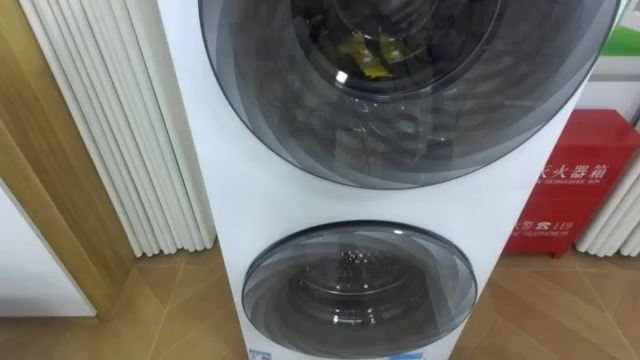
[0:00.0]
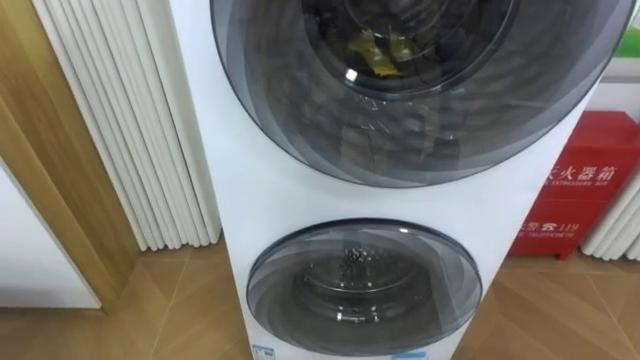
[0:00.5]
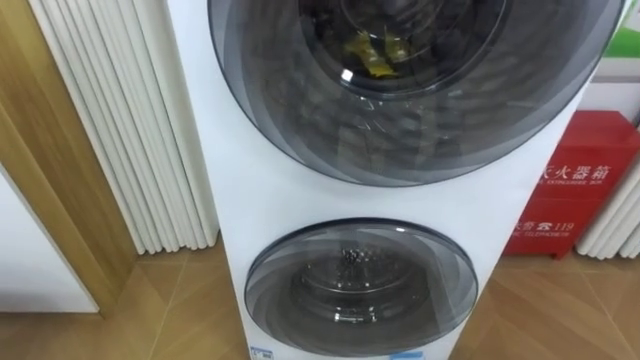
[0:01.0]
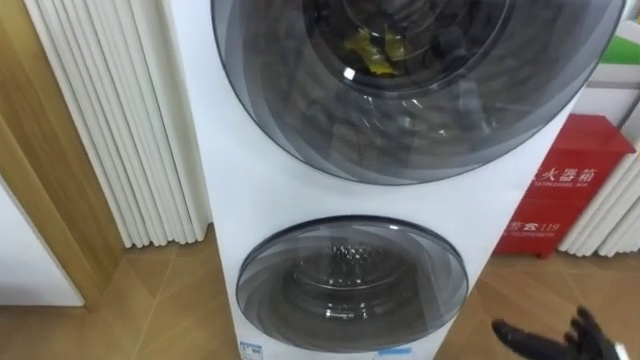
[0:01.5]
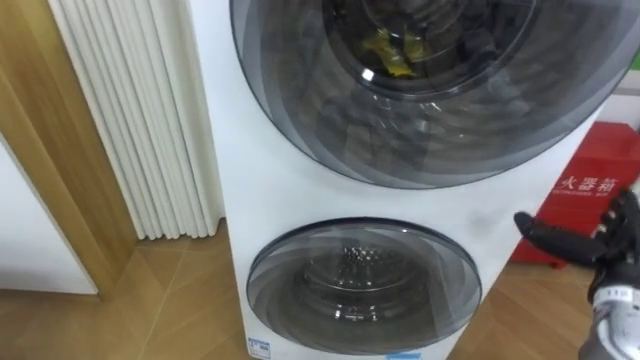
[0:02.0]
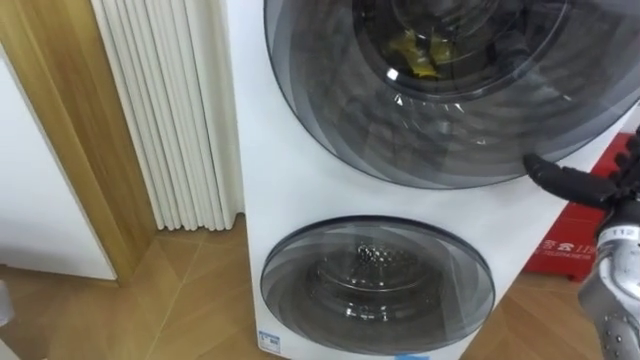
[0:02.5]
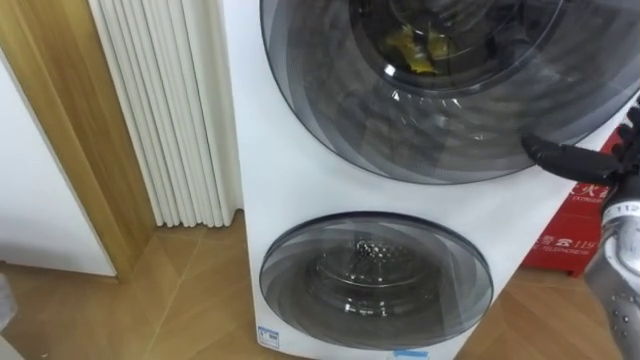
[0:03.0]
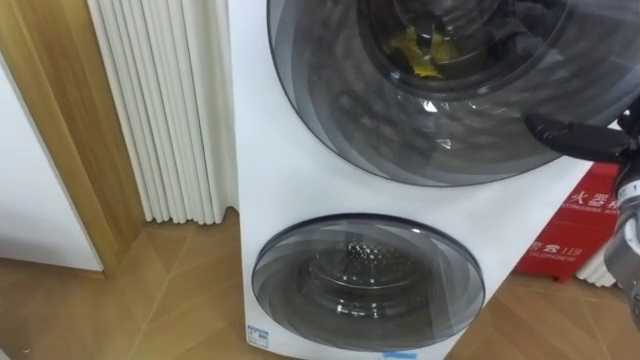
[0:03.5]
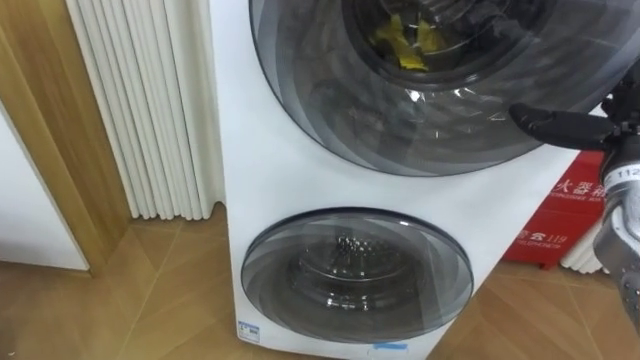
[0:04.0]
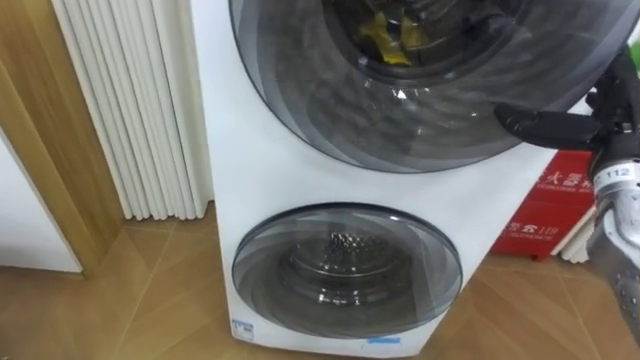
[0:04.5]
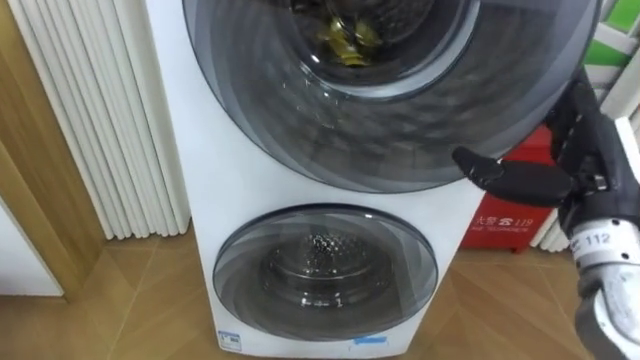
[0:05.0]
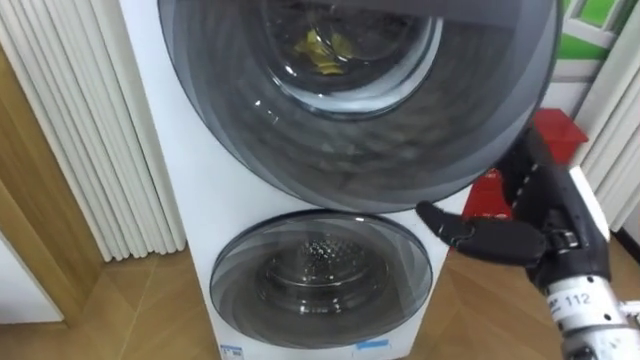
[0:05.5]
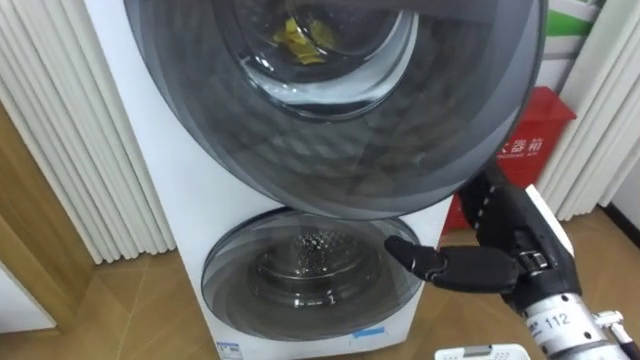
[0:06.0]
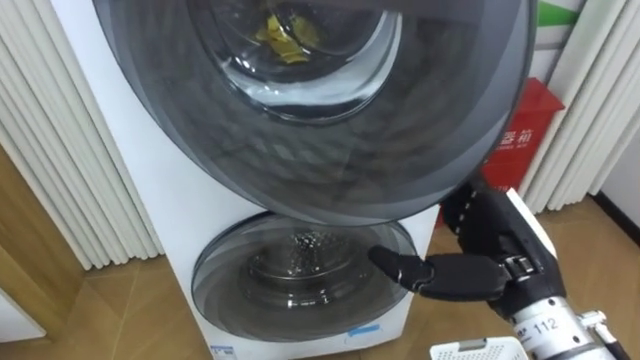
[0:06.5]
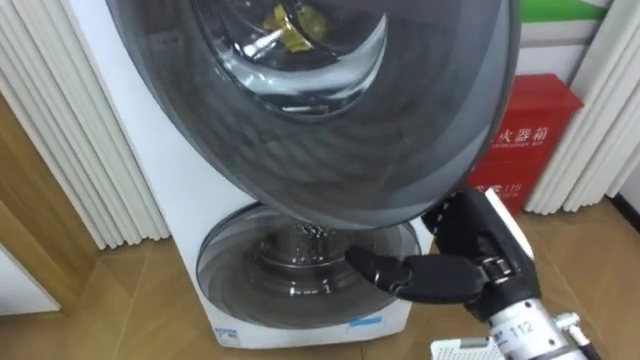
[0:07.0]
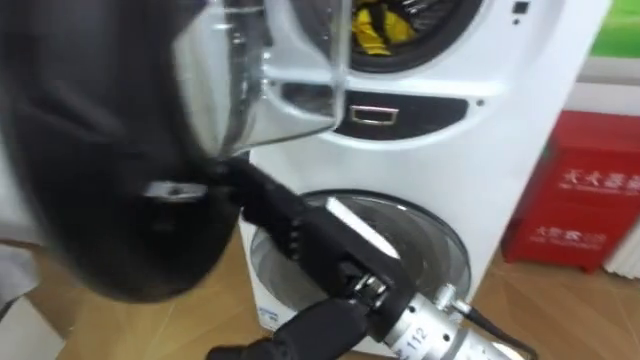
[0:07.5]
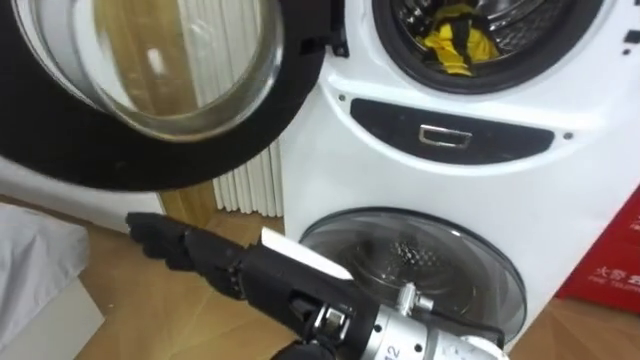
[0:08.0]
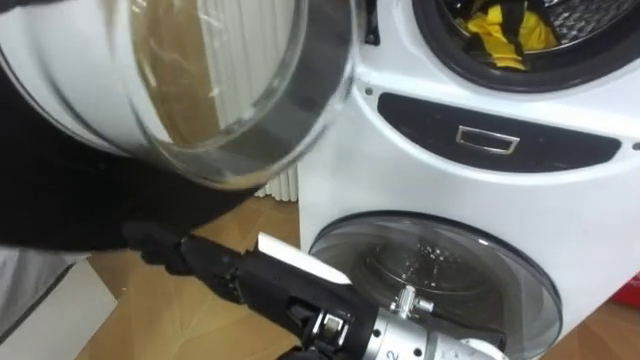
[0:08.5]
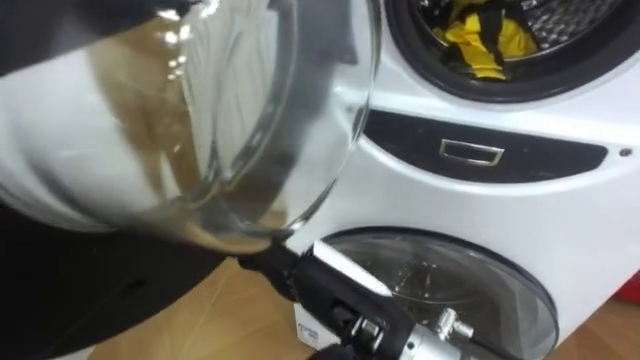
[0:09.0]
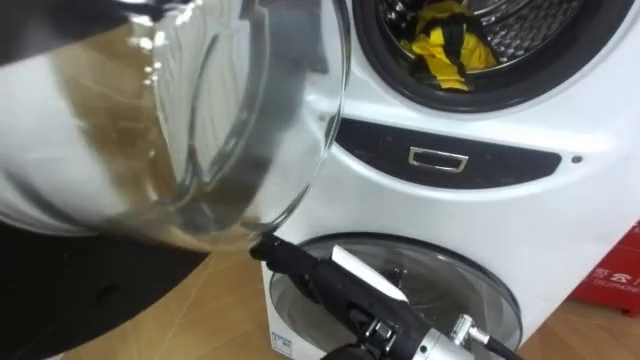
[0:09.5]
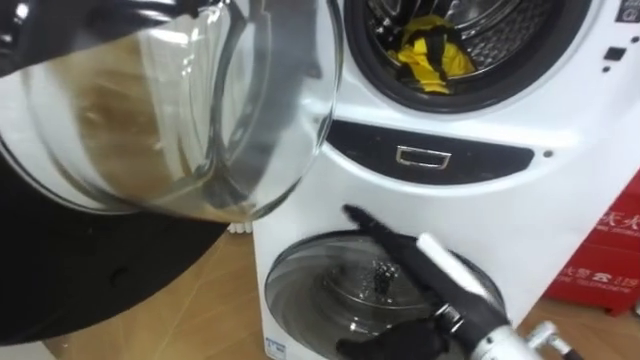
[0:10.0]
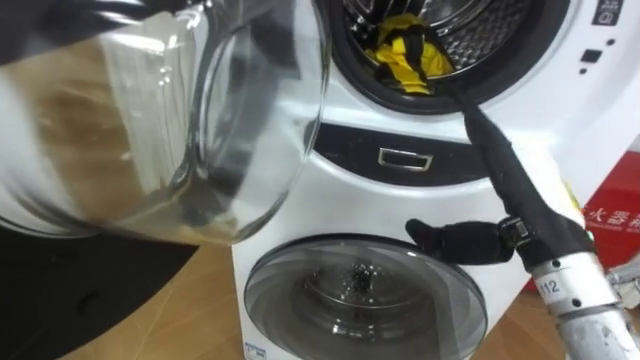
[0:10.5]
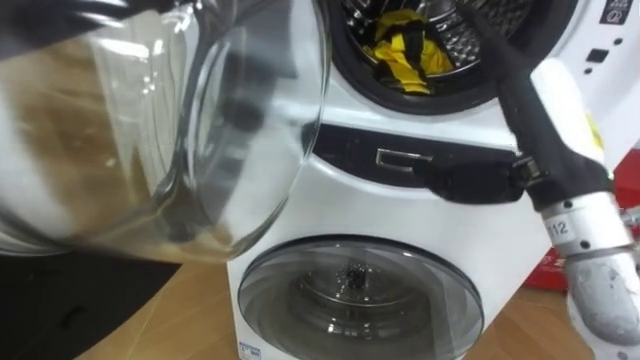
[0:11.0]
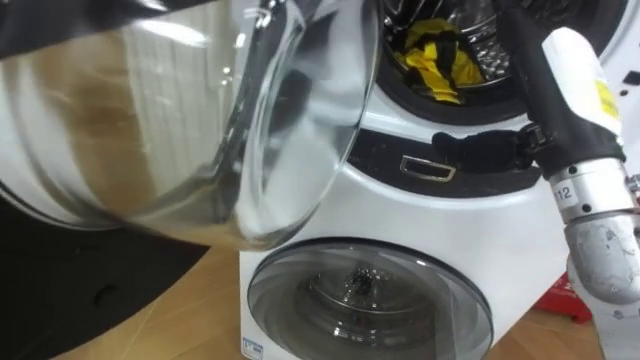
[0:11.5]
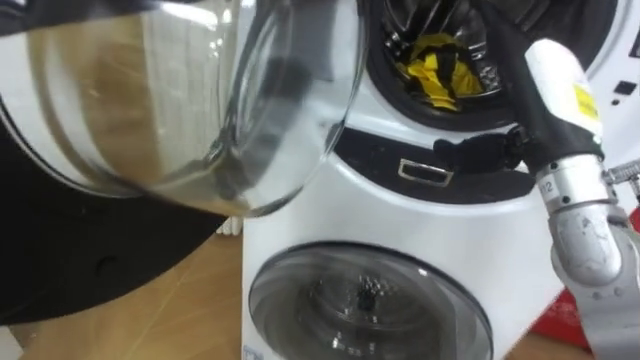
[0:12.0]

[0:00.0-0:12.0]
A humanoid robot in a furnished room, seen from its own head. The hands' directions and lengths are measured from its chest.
Task of the whole recording: Open the washing machine door, take out the yellow clothes, place them in the box on the right, and close the washing machine door.
0:02.0 to 0:04.0: The right hand goes about 15 cm upward and forward.
0:04.0 to 0:06.0: The right hand travels to the left and backward by roughly 15 cm.
0:06.0 to 0:08.0: The right hand travels to the left by about 20 cm.
0:08.0 to 0:10.0: The right hand moves to the right and downward, approximately 15 cm.
0:10.0 to 0:12.0: The right hand heads upward, forward and to the right, covering some 20 cm.

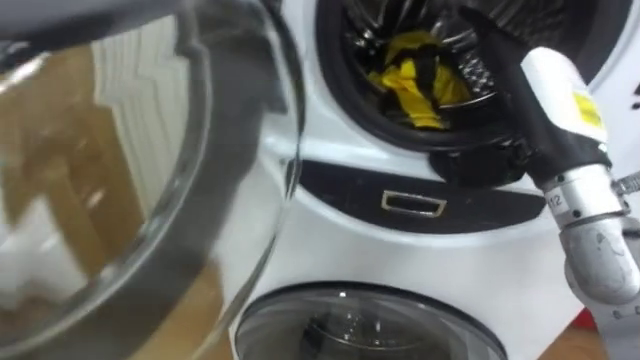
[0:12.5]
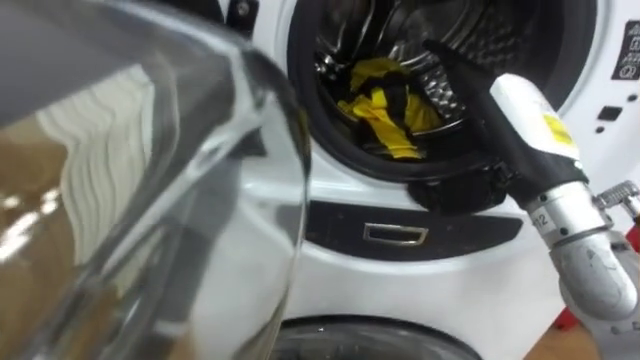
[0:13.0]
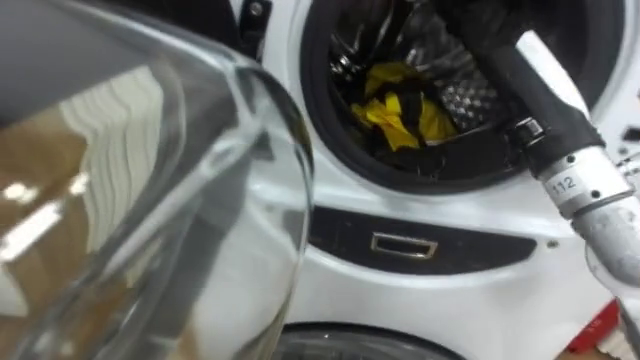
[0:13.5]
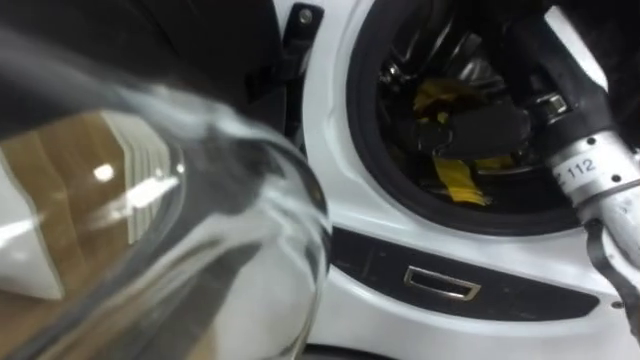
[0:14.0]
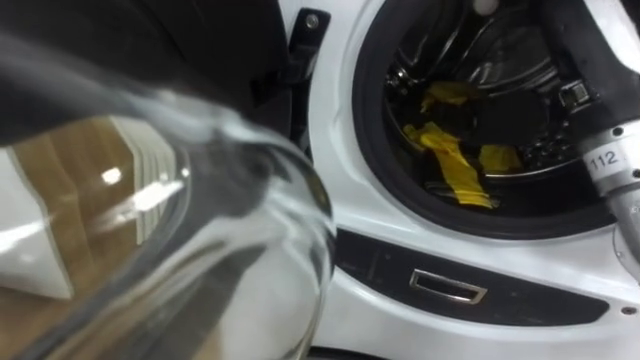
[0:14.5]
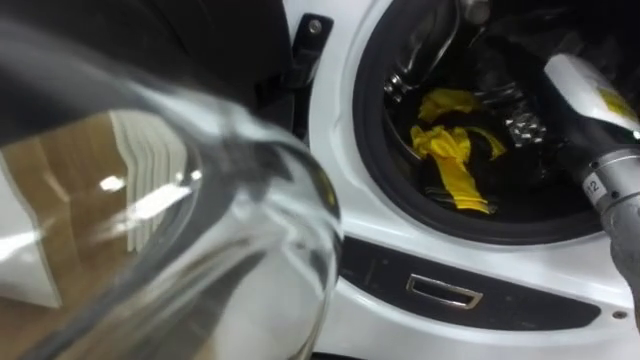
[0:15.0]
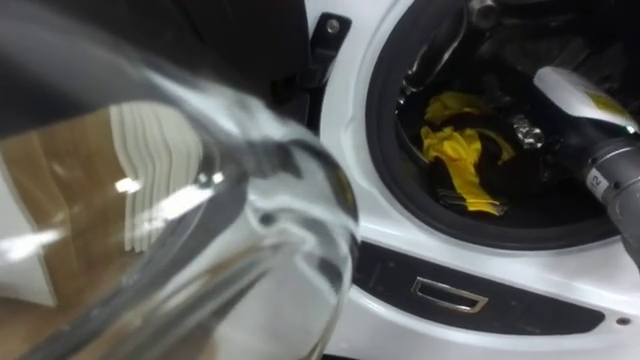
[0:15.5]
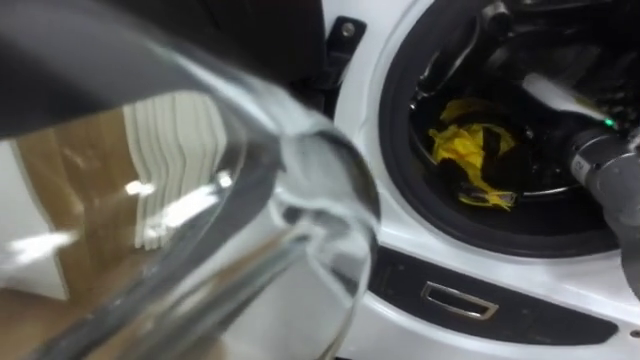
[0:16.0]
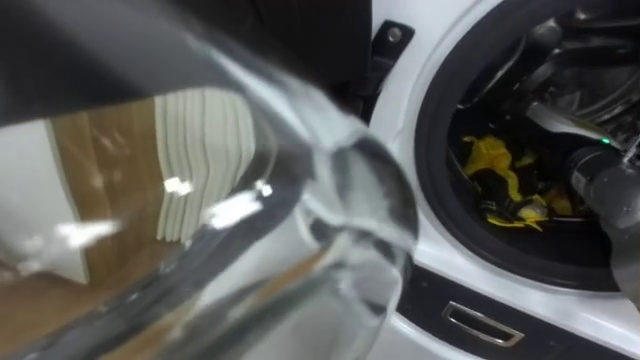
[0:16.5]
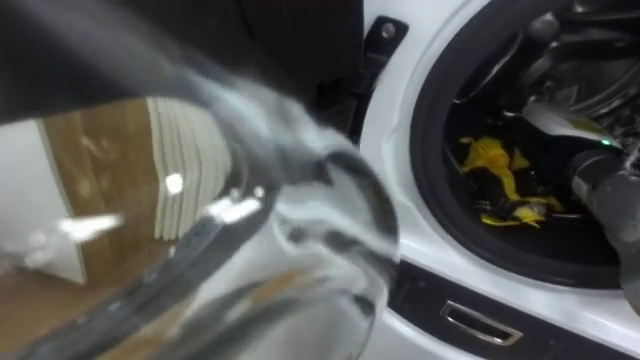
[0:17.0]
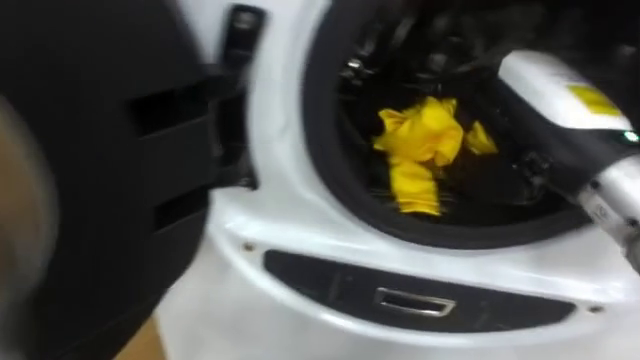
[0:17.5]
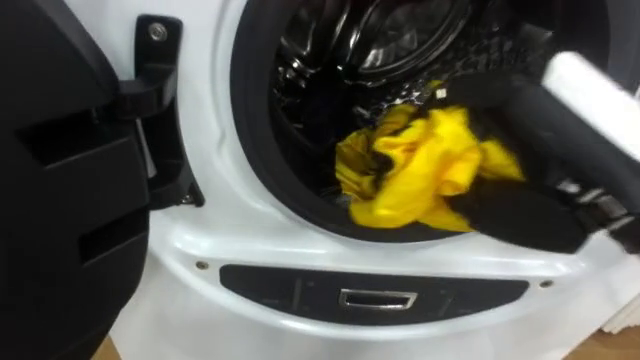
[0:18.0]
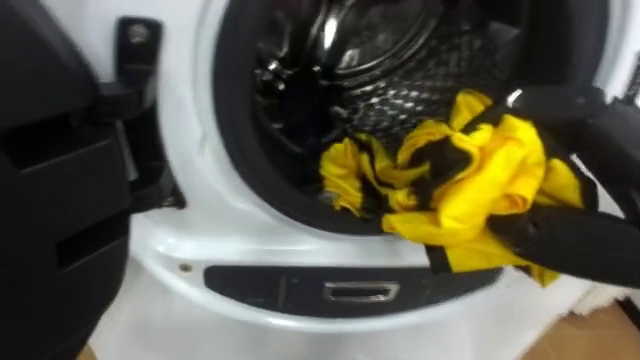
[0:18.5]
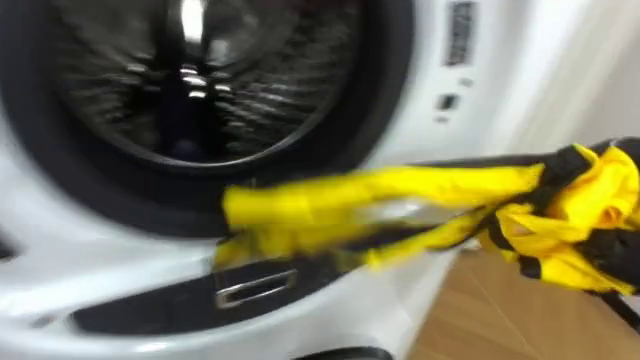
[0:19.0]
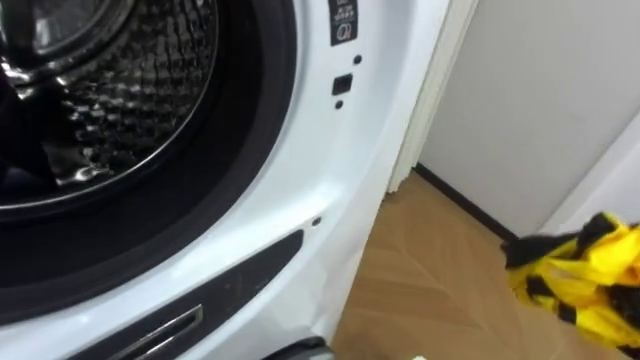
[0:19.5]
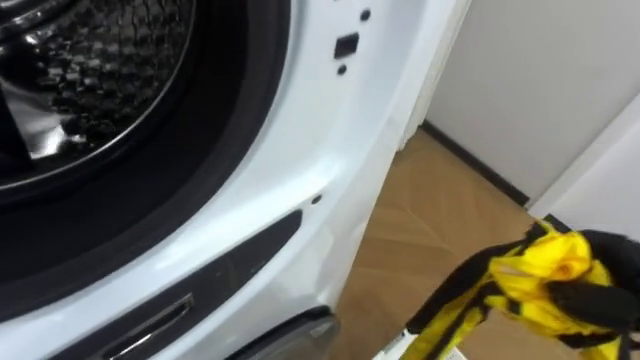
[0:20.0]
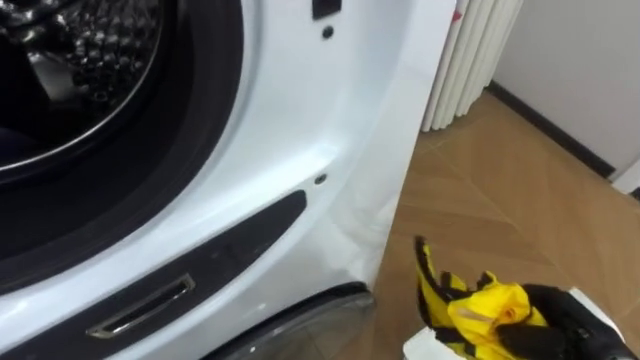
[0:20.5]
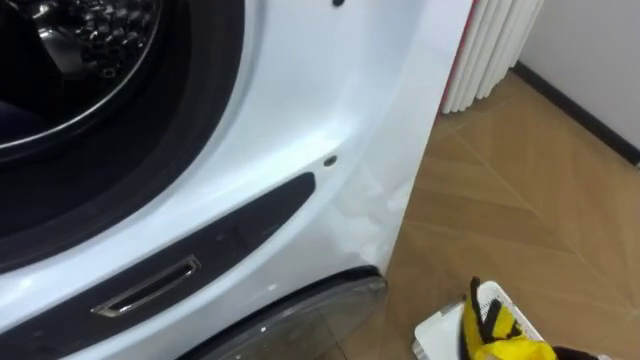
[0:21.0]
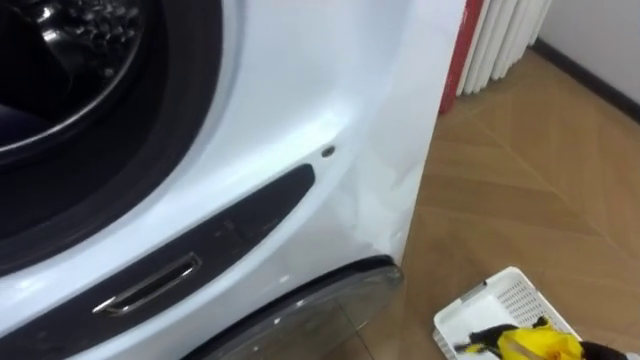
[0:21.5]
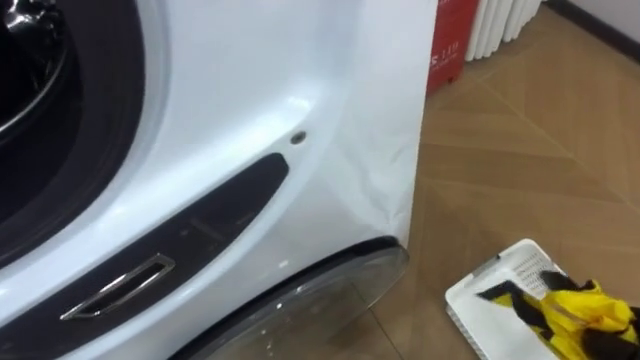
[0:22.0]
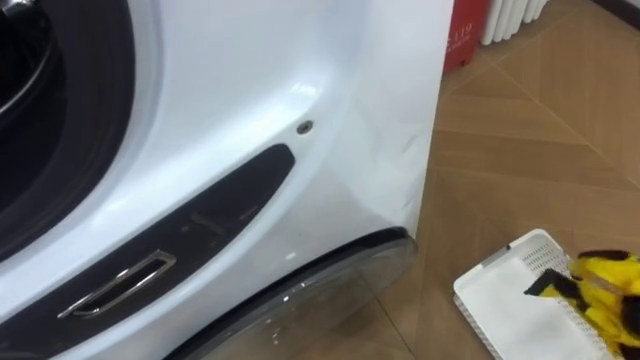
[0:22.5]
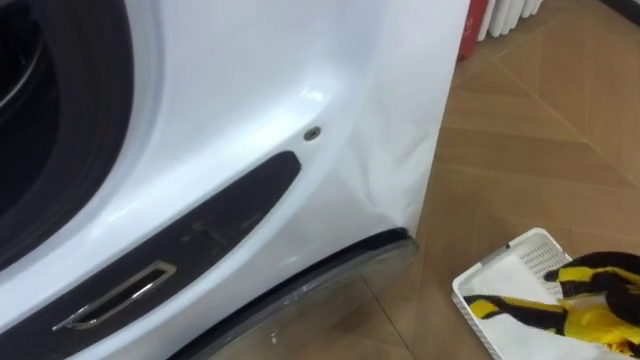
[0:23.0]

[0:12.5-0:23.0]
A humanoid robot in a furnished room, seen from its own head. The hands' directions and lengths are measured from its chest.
Task of the whole recording: Open the washing machine door, take out the yellow clothes, place them in the box on the right, and close the washing machine door.
0:12.5 to 0:14.5: The right hand is displaced upward by some 5 cm.
0:14.5 to 0:16.5: The right hand heads downward, forward and to the right, covering some 15 cm, and closes its fingers.
